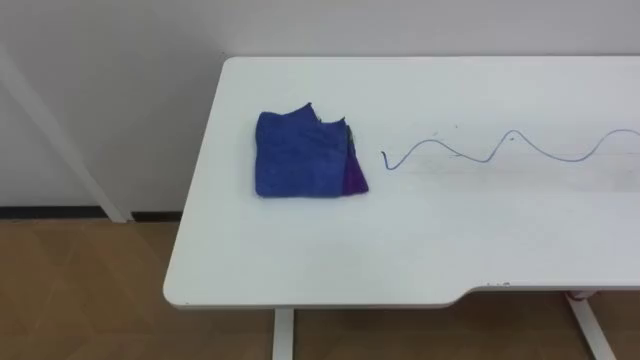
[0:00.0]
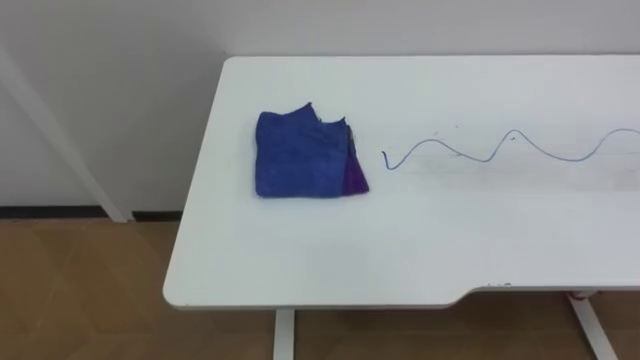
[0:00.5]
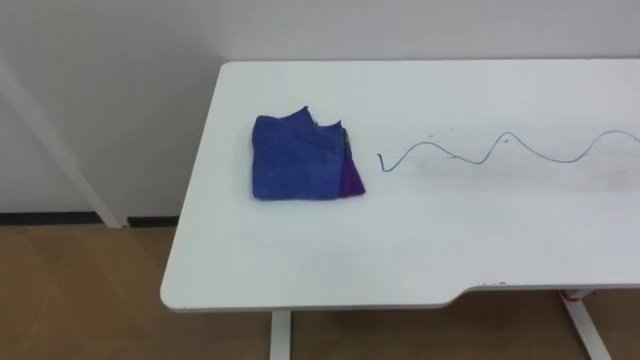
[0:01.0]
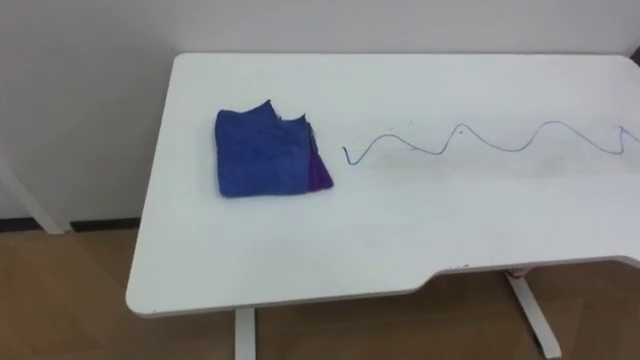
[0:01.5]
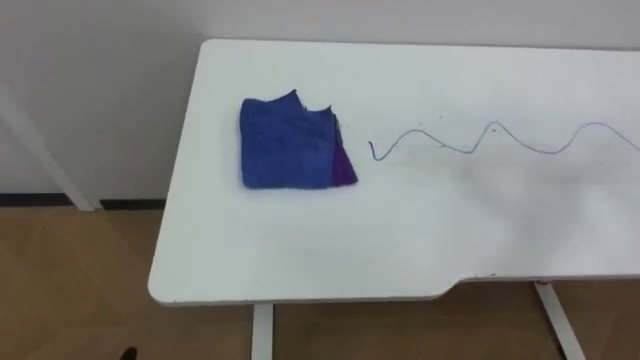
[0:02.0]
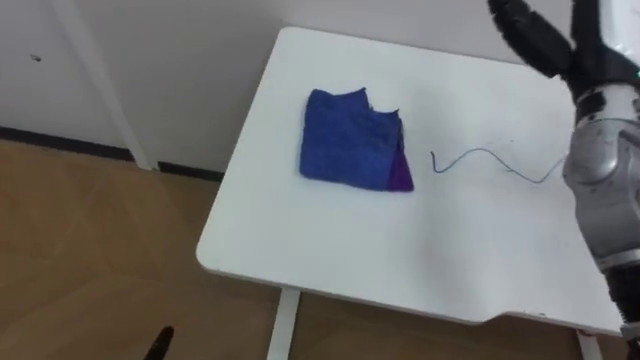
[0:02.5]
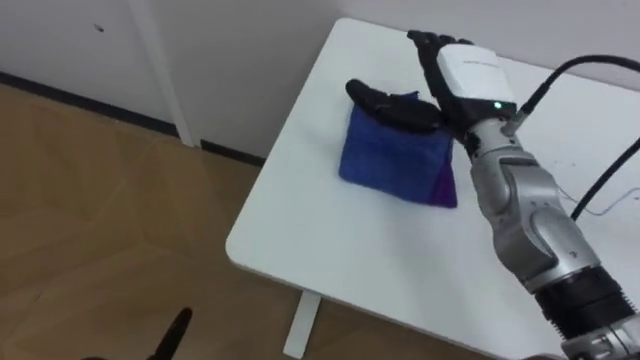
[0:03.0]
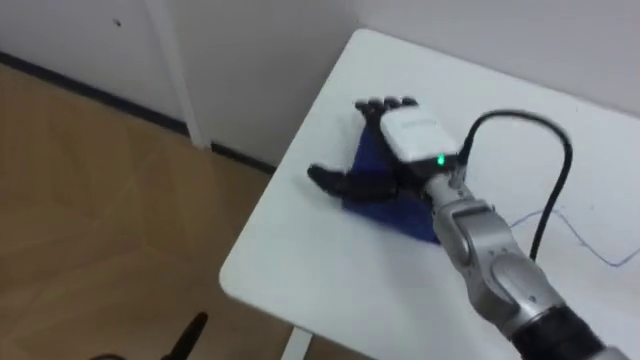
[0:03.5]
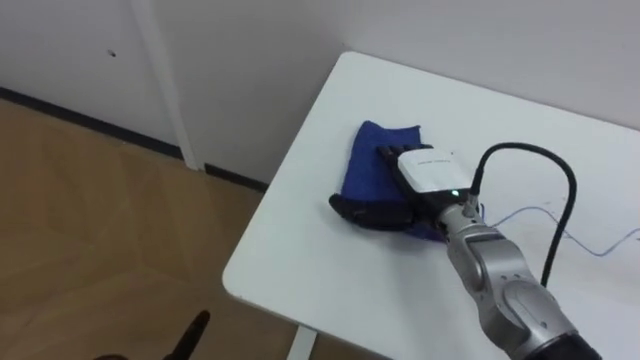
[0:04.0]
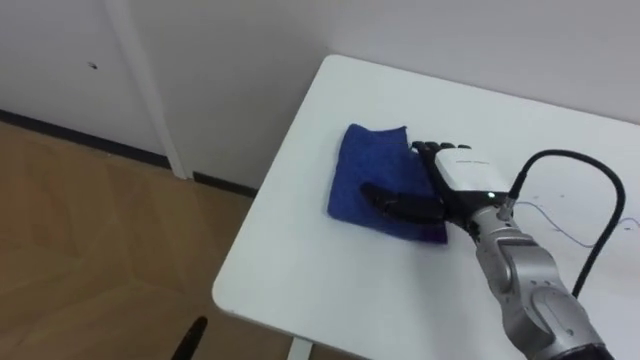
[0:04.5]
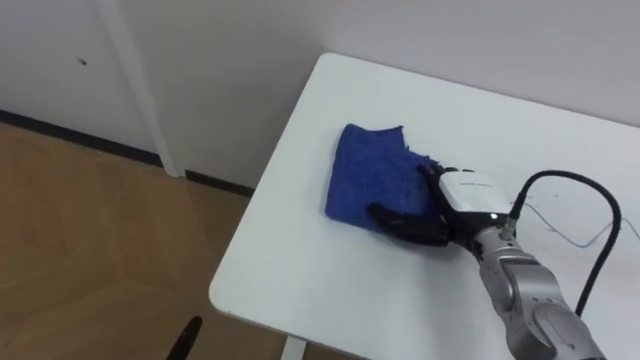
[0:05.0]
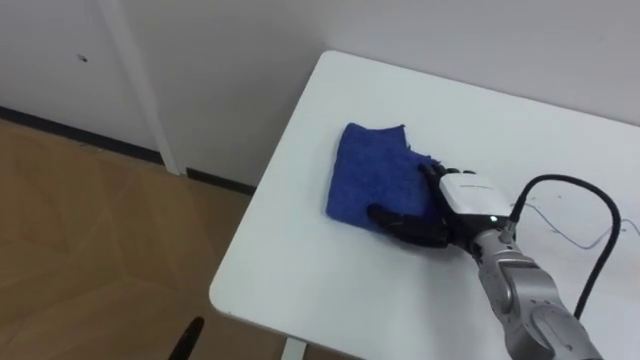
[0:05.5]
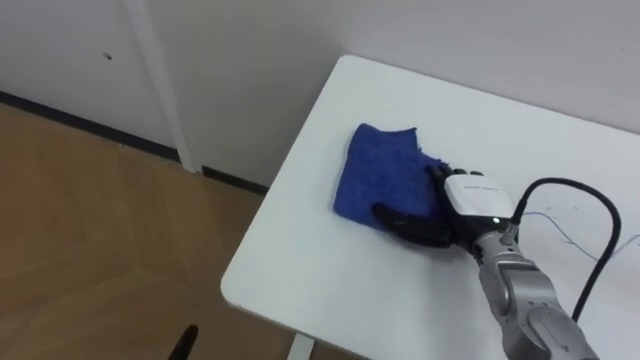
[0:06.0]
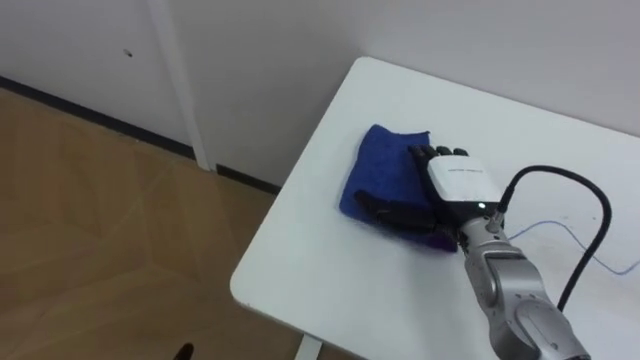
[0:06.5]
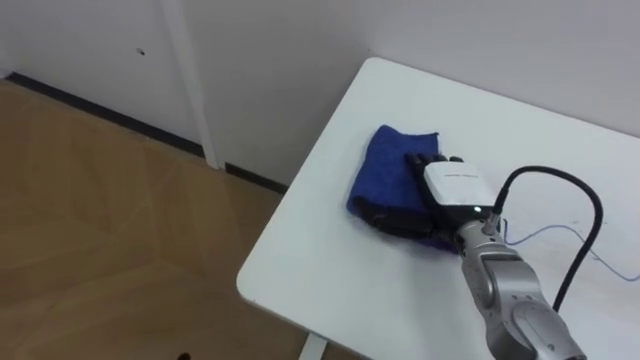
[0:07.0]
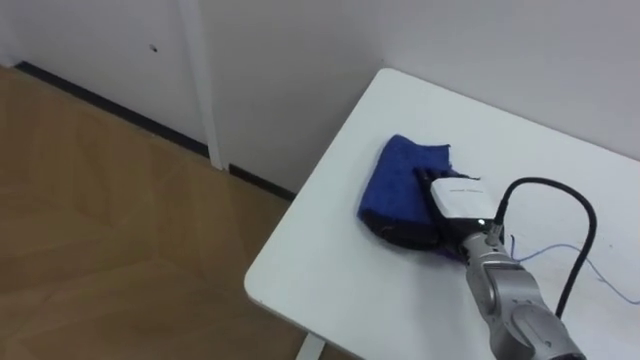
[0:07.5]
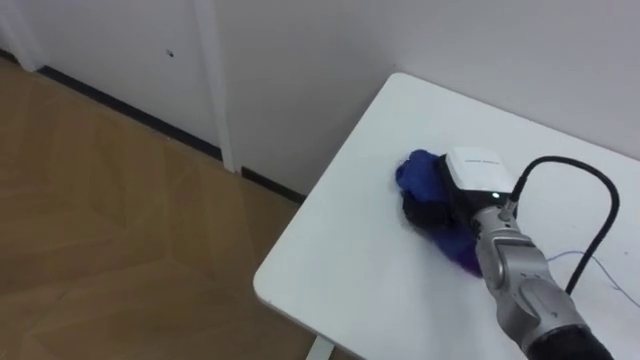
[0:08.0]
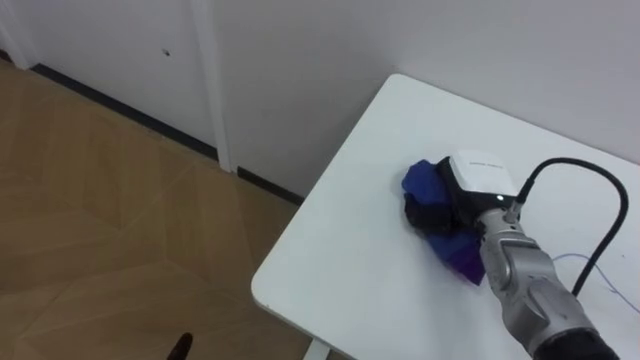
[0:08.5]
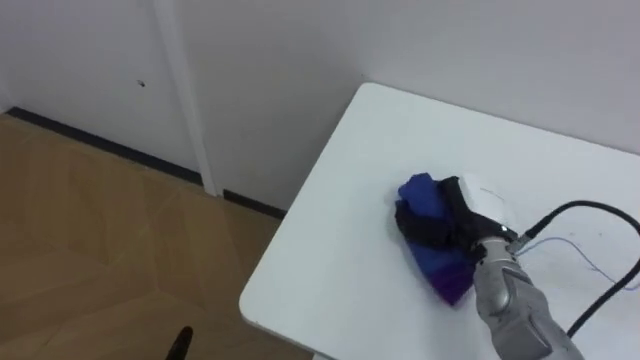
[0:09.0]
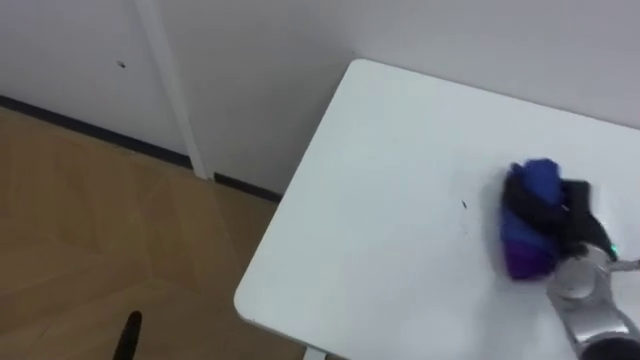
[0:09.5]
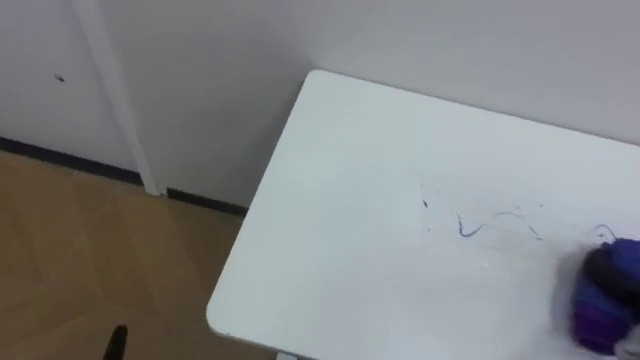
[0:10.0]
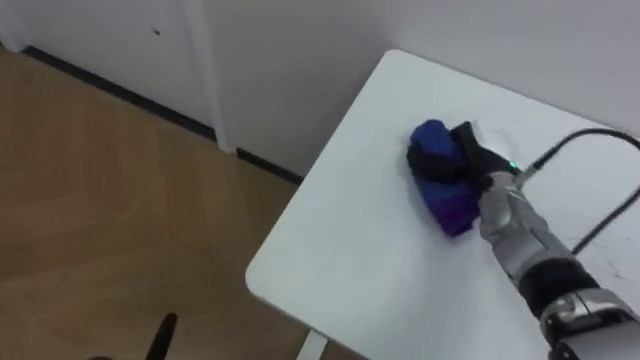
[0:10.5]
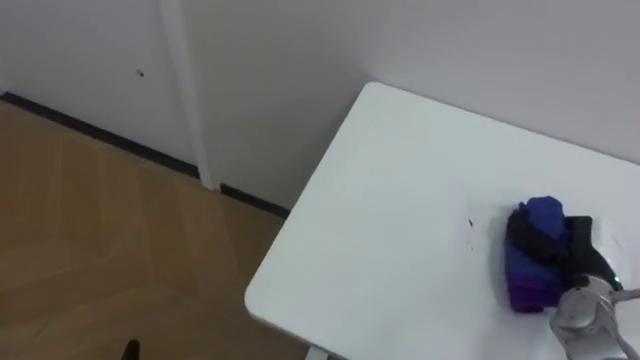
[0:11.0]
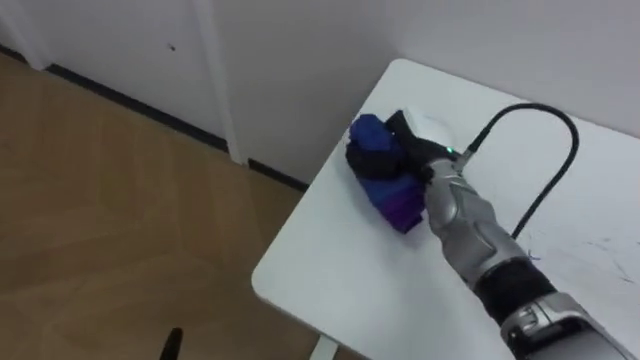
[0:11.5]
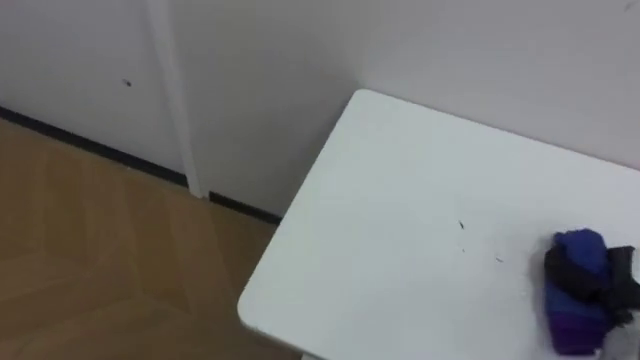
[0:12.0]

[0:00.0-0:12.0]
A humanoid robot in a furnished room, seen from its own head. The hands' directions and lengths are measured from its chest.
Task of the whole recording: Wipe the blue pen marks off the table with the rag.
0:04.0 to 0:06.0: The right hand shifts approximately 5 cm to the right.
0:06.0 to 0:08.0: The right hand closes.

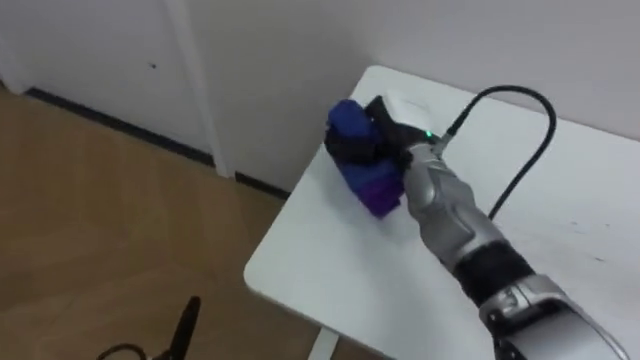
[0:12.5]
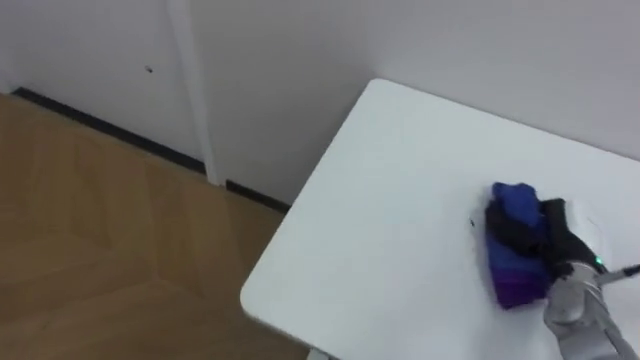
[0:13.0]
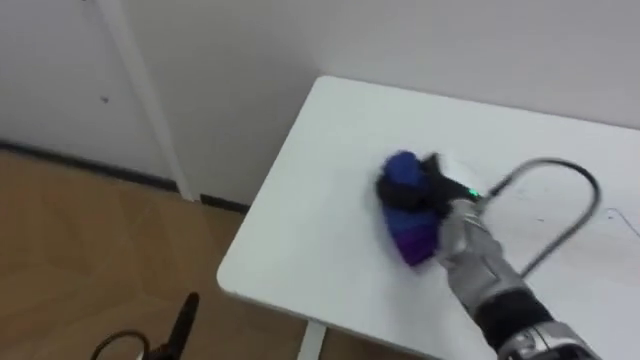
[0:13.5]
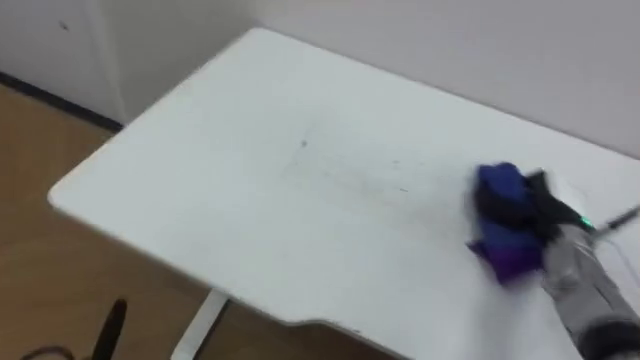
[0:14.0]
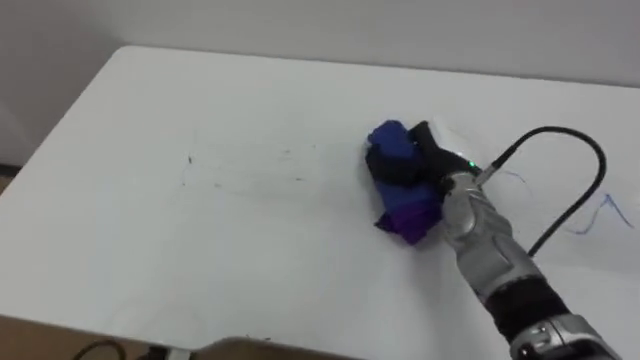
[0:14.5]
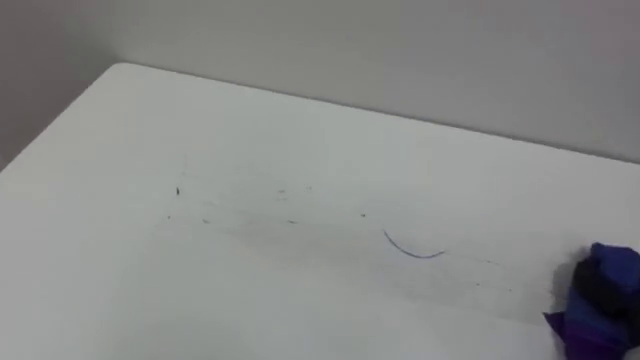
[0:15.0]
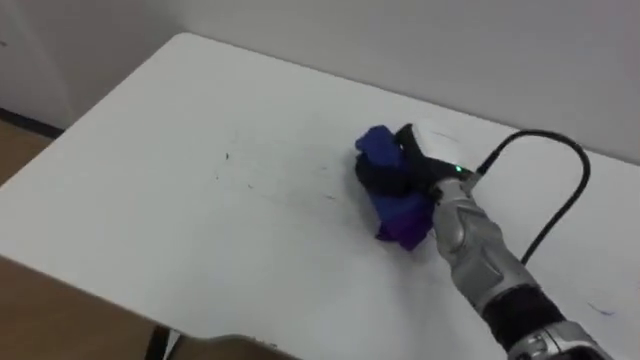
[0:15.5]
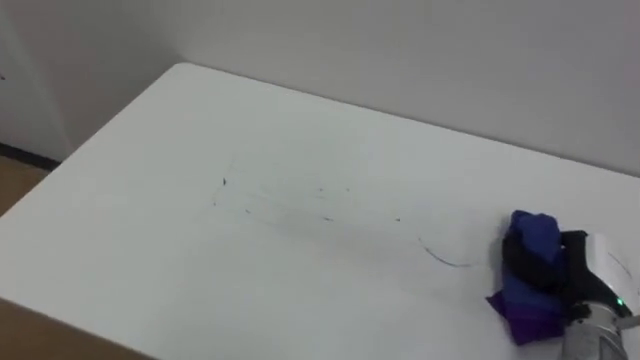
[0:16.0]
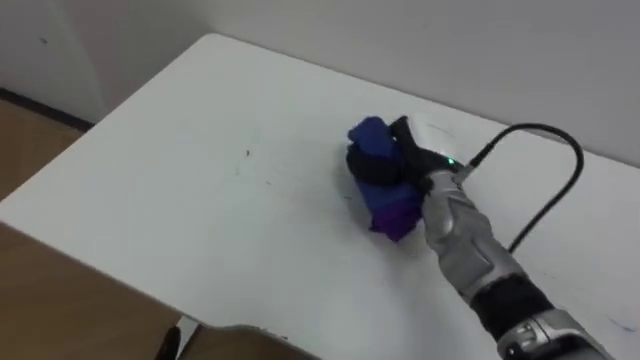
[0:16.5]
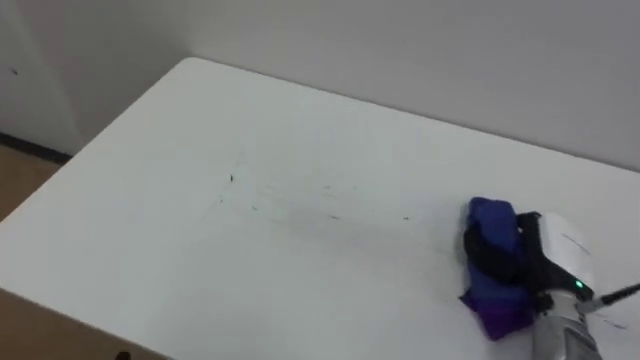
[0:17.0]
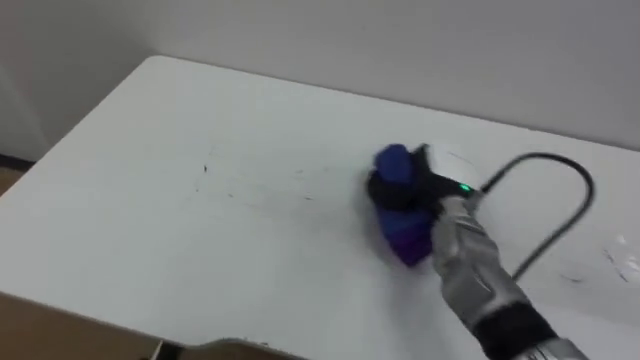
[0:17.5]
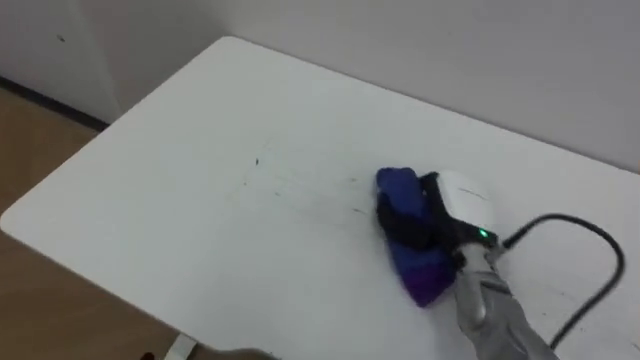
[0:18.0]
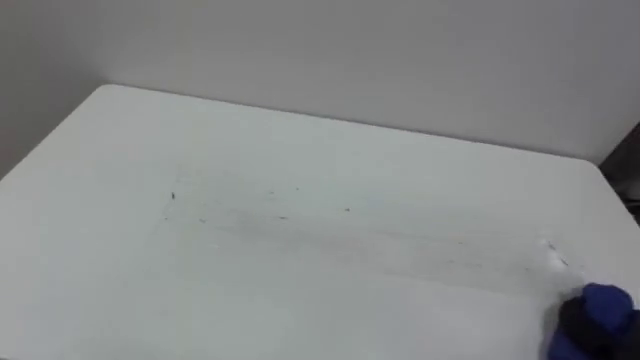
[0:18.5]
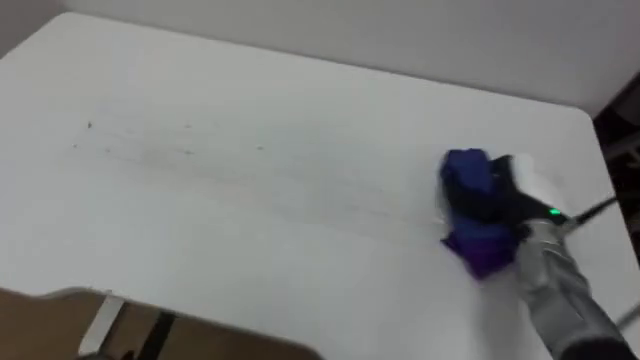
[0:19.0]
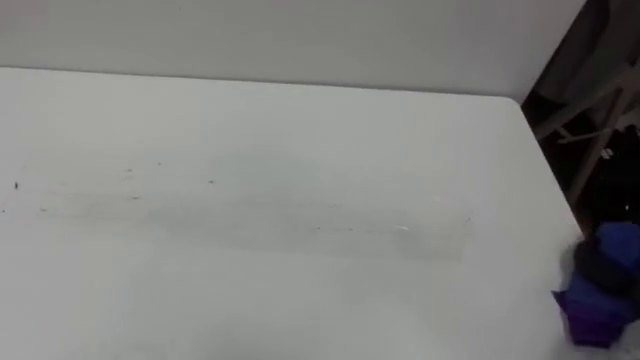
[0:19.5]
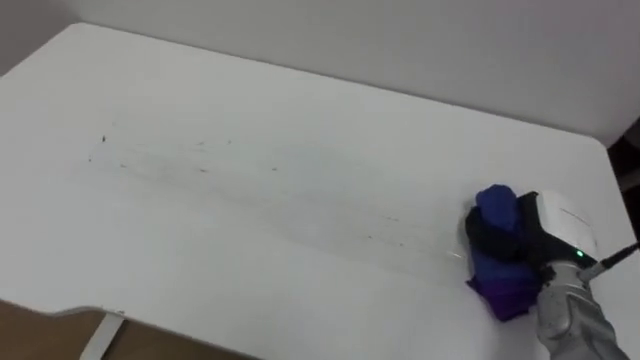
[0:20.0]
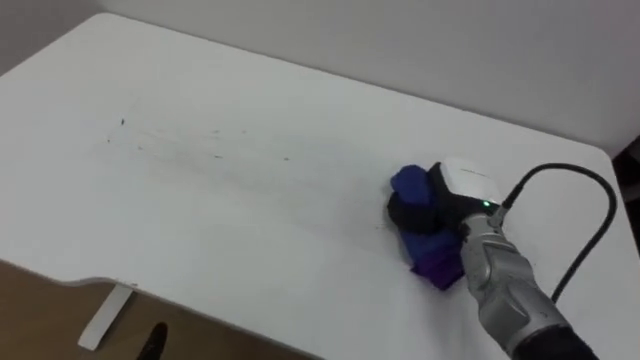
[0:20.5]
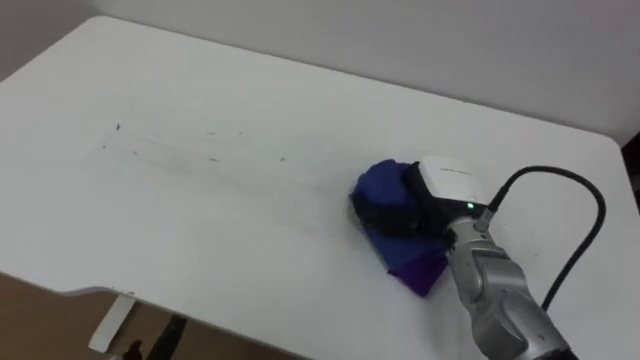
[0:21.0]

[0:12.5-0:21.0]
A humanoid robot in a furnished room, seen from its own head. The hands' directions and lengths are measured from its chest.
Task of the whole recording: Wipe the blue pen marks off the table with the rag.
0:12.5 to 0:14.5: The right hand goes left and right, some 20 cm each way, reversing 3 times.
